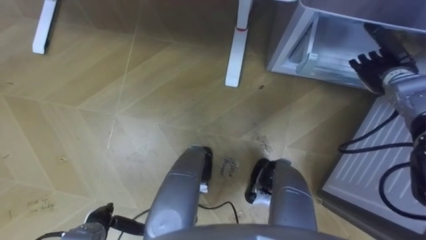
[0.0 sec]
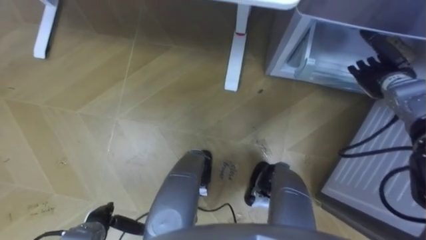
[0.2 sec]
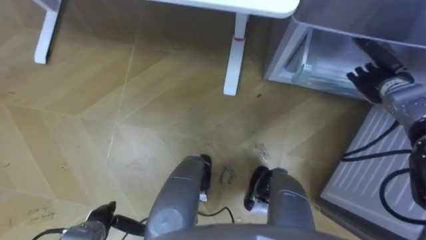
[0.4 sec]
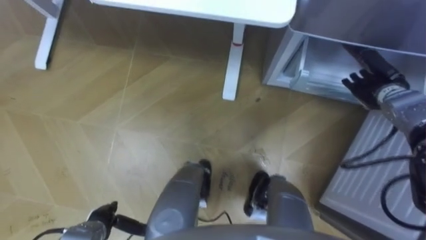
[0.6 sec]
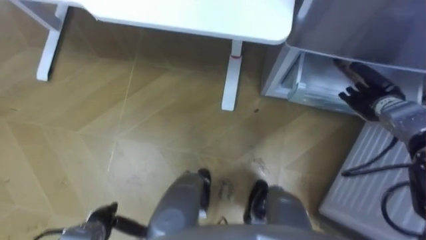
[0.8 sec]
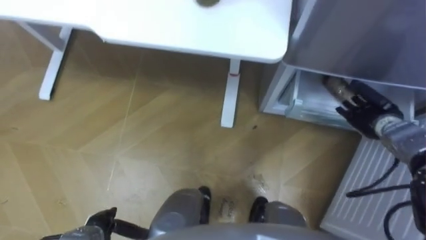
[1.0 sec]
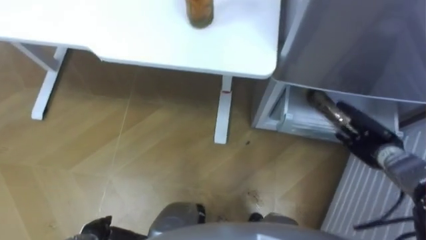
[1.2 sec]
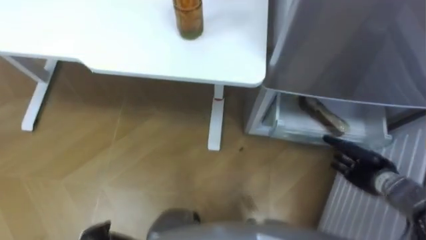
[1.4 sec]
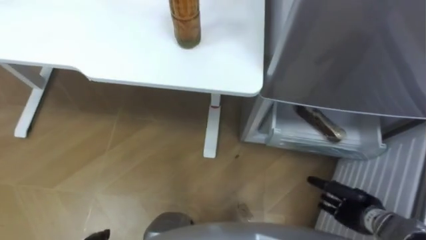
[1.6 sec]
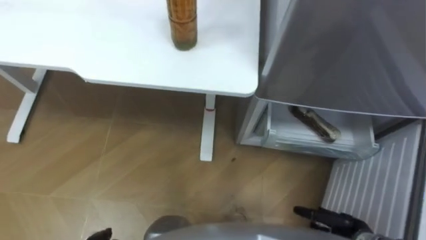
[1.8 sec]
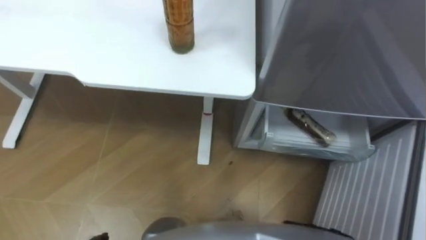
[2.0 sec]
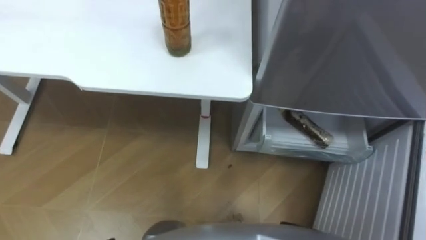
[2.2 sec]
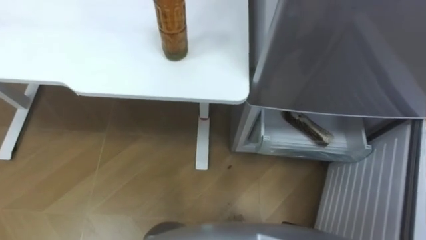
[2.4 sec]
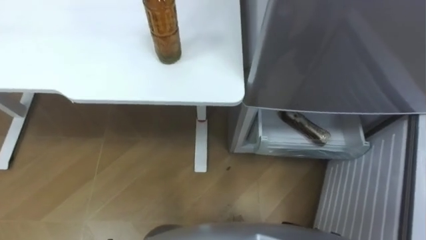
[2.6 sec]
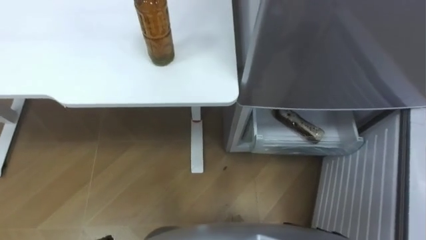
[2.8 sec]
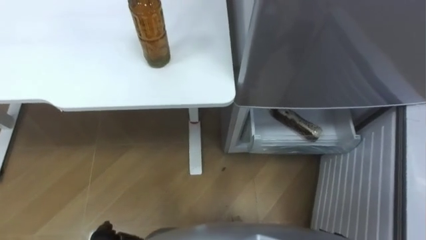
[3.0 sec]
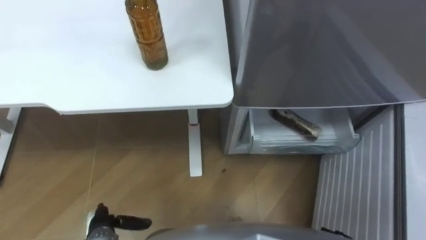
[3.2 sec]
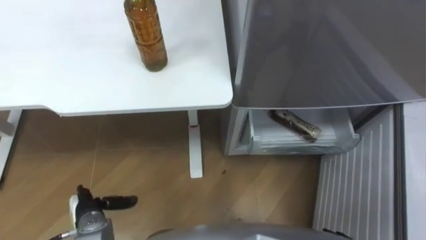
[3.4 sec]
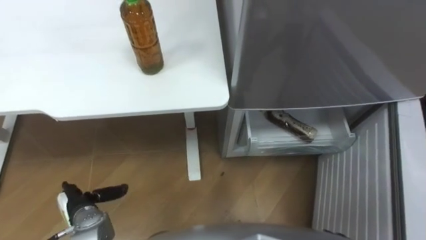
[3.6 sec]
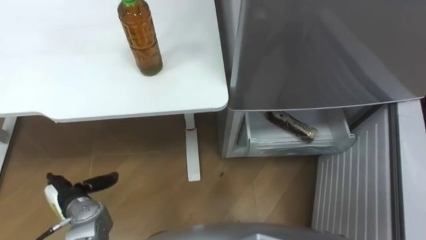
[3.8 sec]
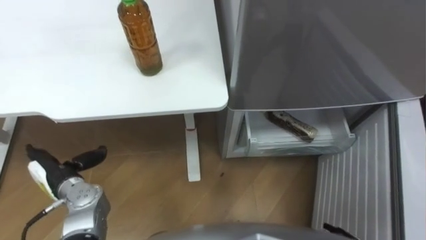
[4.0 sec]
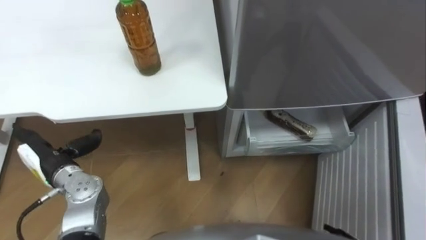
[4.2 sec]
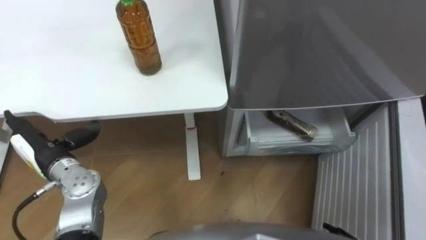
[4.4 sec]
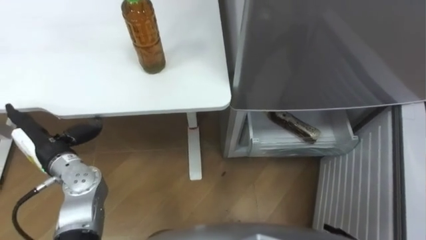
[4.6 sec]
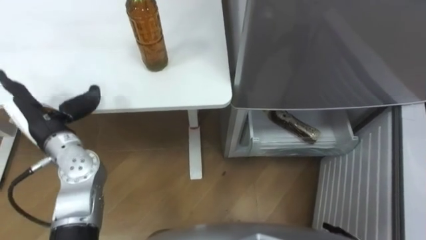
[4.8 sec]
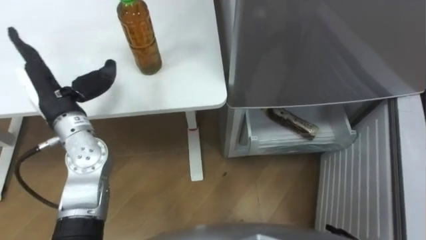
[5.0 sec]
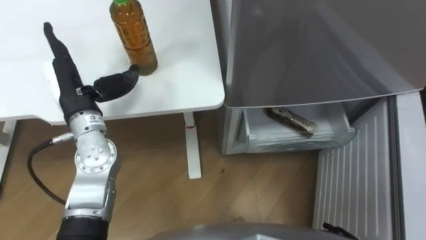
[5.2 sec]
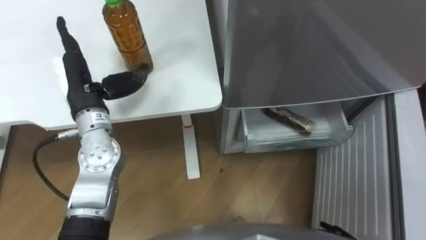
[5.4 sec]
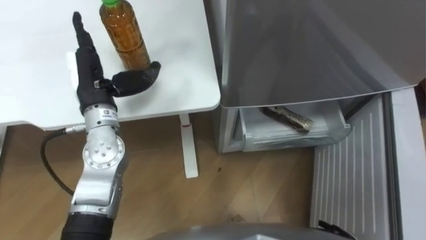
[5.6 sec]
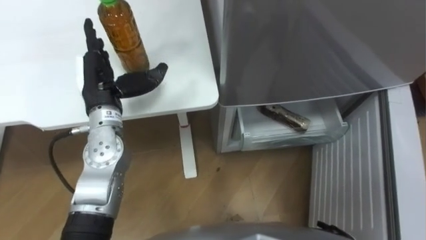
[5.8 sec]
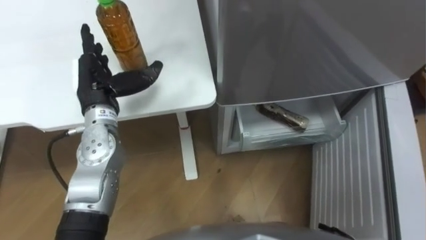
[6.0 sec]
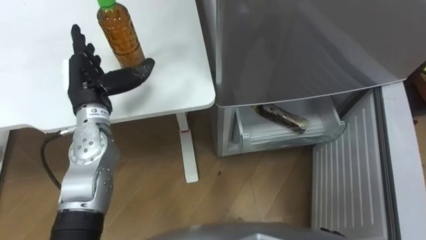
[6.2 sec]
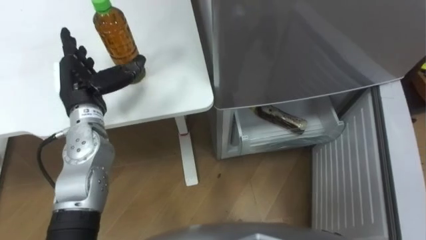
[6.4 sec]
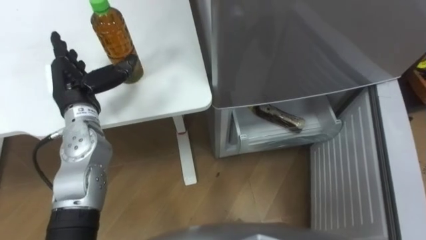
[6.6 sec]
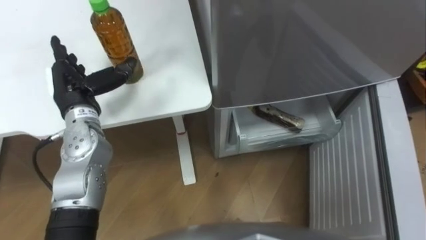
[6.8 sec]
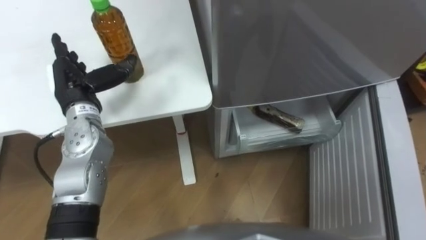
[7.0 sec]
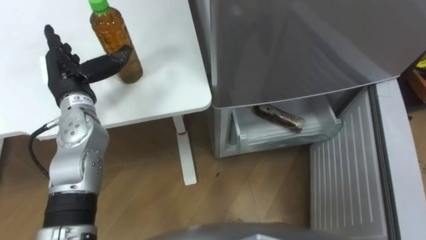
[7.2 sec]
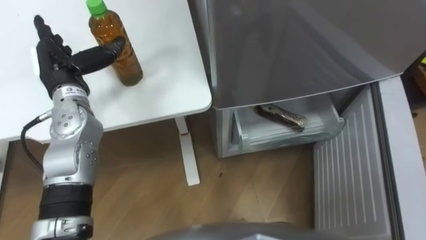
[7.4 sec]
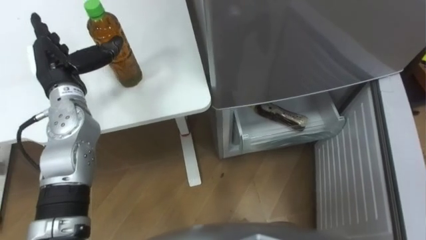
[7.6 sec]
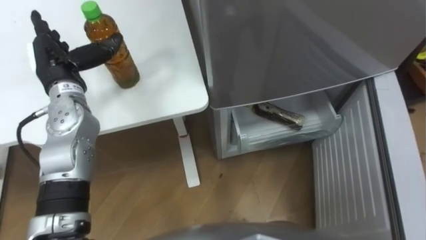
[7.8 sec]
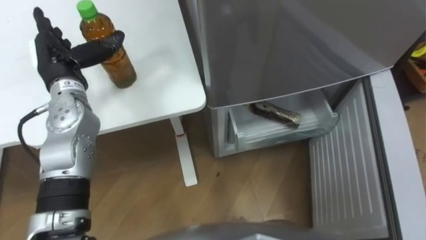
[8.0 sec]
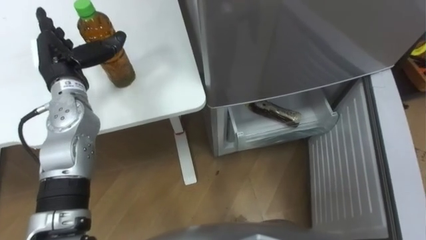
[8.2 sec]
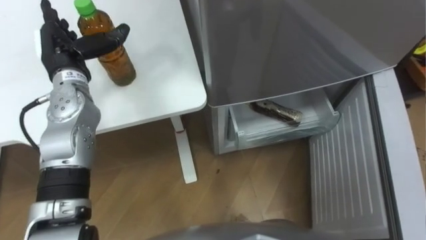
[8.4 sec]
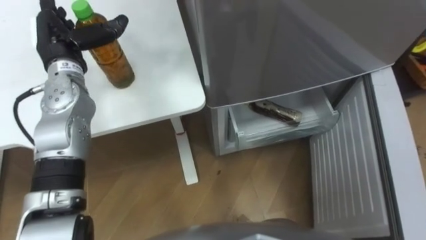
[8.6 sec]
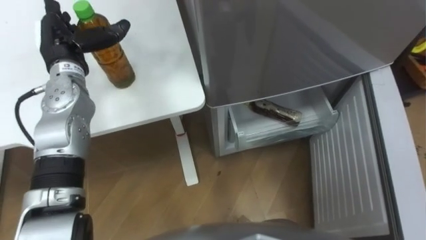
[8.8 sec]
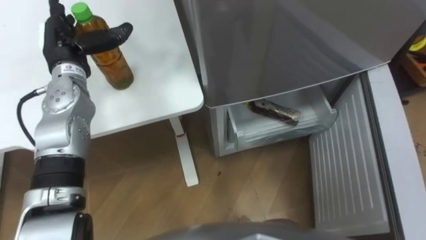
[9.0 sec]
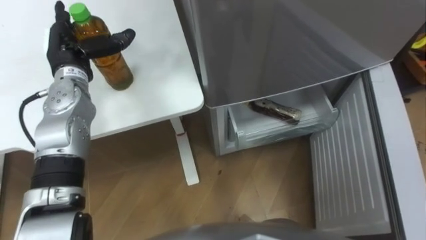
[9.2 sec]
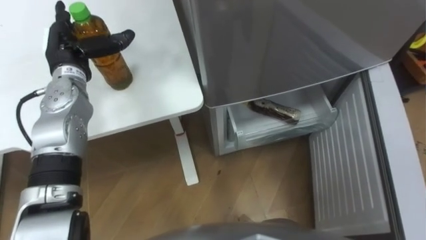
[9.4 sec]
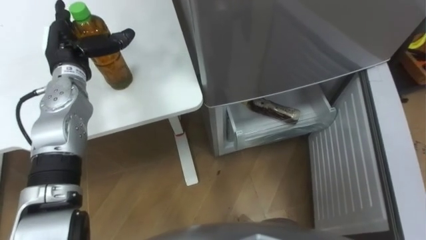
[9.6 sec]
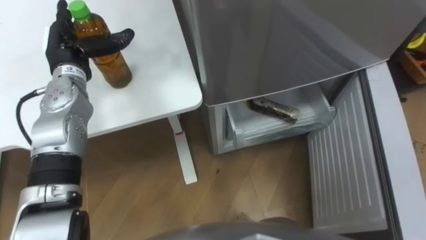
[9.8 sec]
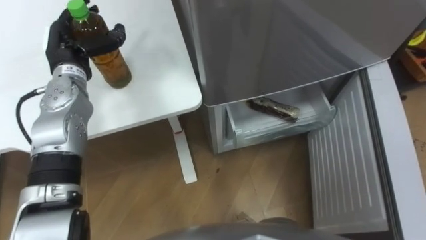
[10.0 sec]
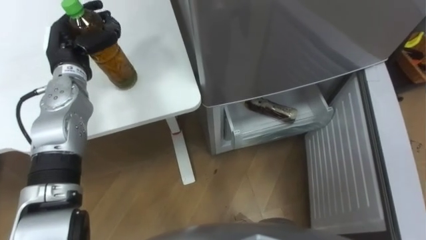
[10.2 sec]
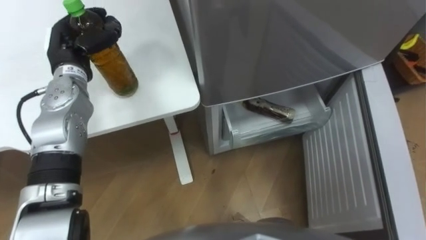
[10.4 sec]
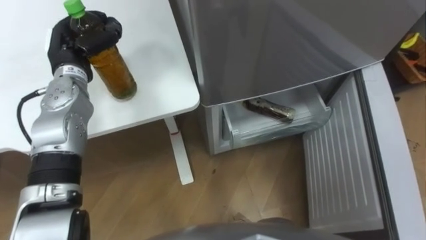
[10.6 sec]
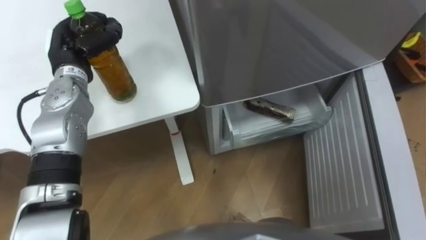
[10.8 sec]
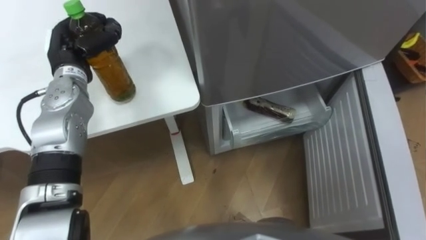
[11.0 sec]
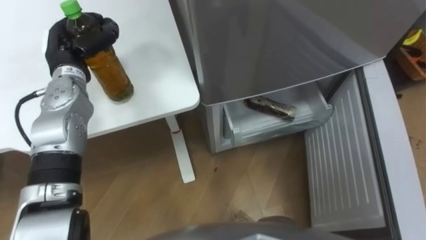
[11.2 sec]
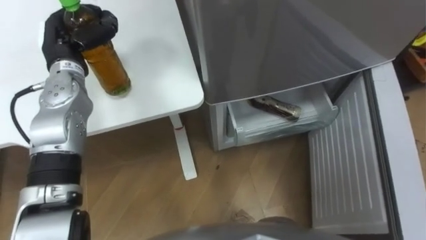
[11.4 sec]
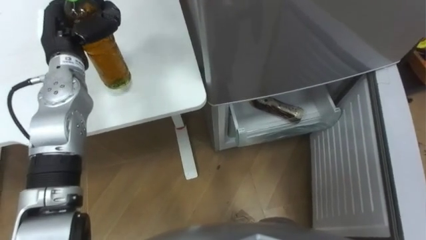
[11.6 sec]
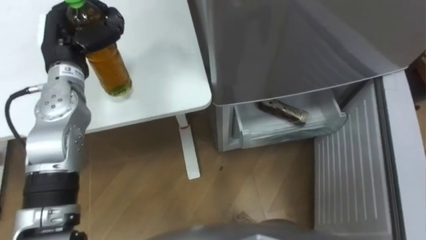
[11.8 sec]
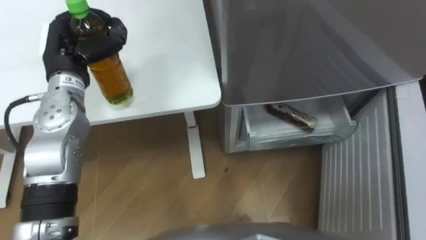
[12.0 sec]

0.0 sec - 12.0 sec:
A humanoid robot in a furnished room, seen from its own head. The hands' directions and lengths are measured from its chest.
Task of the whole recording: Place the drink on the table on the bottom shelf of the refrigerator, then close the drawer and the refrigerator door.
0.0 sec - 1.6 sec: The right hand heads backward and downward, covering some 30 cm.
4.4 sec - 6.0 sec: The left hand goes roughly 15 cm to the right, forward and upward.
6.0 sec - 7.6 sec: The left hand shifts some 5 cm to the left.
9.0 sec - 10.4 sec: The left hand closes.

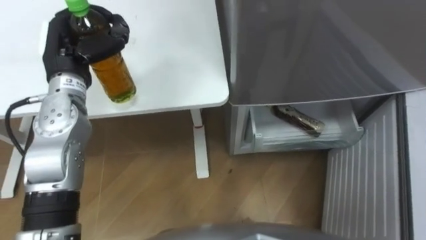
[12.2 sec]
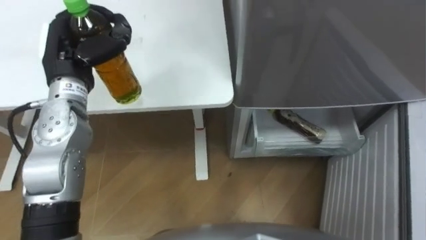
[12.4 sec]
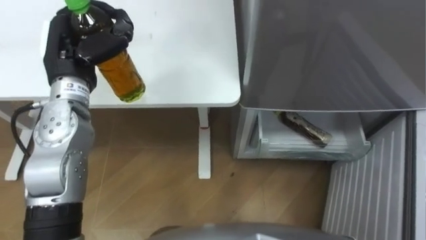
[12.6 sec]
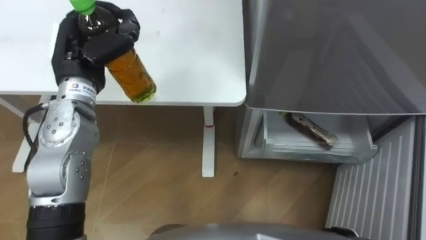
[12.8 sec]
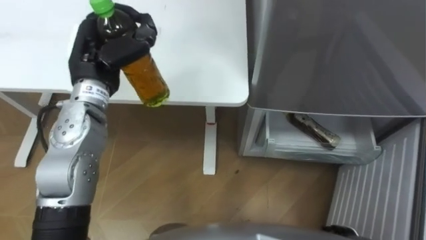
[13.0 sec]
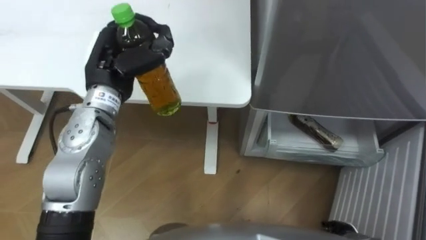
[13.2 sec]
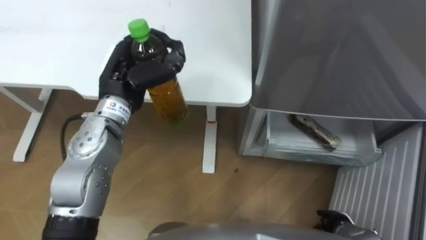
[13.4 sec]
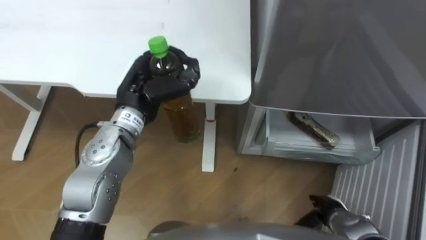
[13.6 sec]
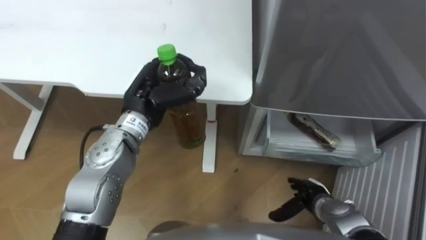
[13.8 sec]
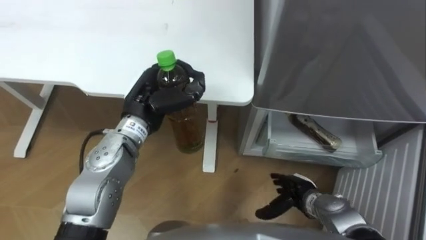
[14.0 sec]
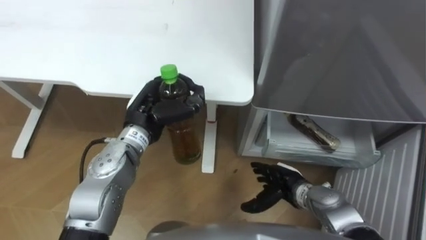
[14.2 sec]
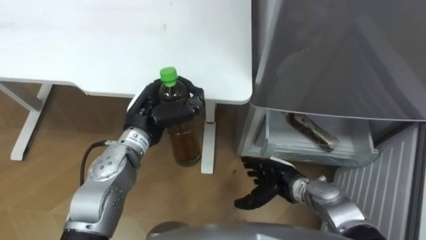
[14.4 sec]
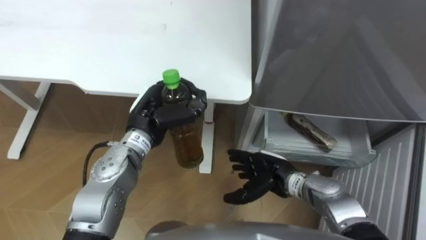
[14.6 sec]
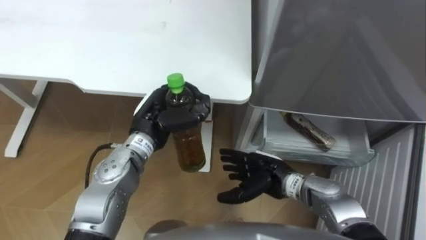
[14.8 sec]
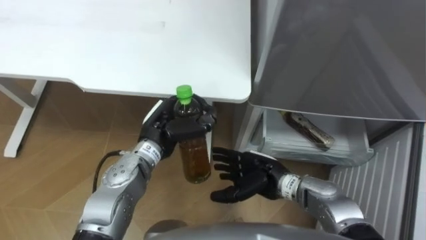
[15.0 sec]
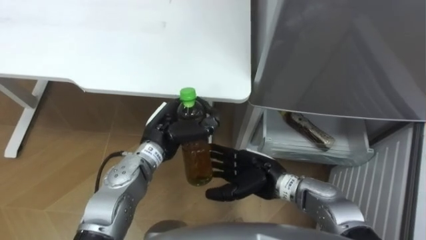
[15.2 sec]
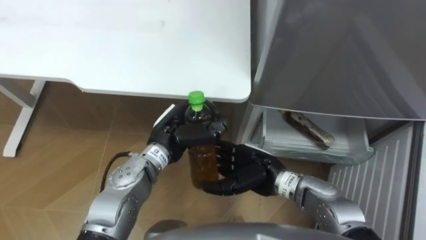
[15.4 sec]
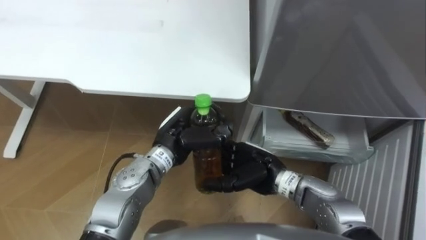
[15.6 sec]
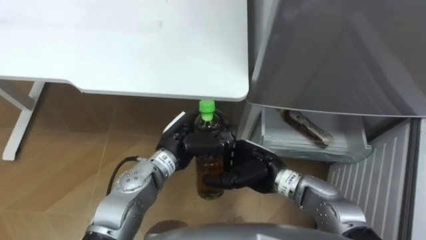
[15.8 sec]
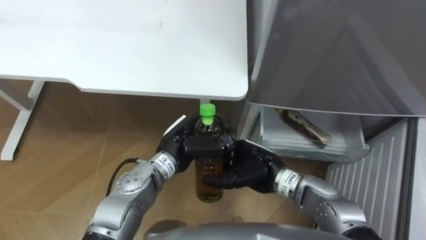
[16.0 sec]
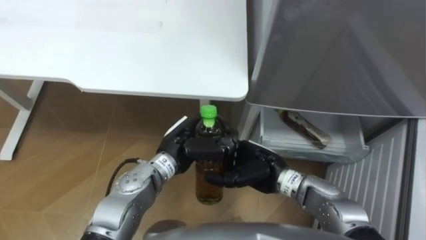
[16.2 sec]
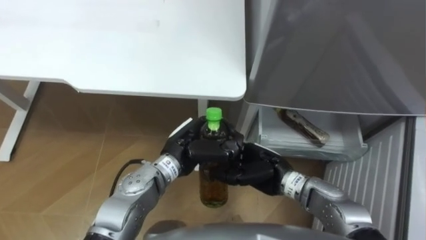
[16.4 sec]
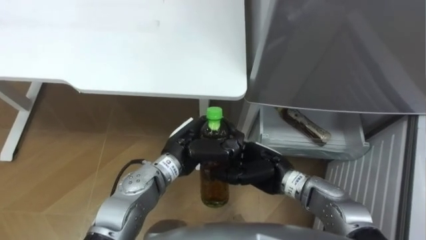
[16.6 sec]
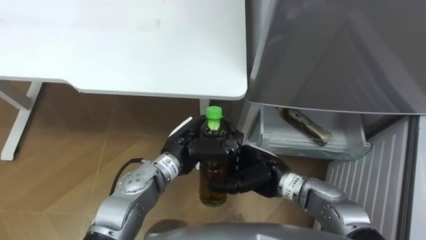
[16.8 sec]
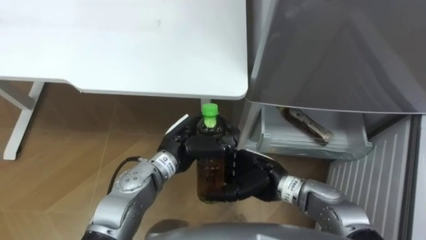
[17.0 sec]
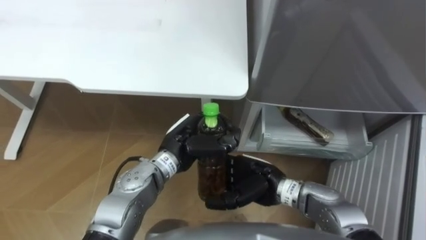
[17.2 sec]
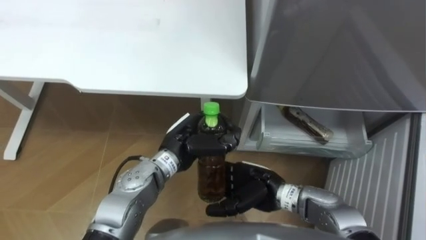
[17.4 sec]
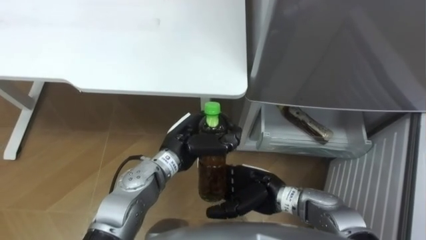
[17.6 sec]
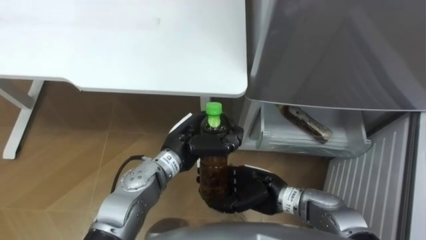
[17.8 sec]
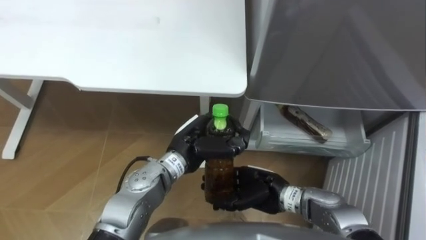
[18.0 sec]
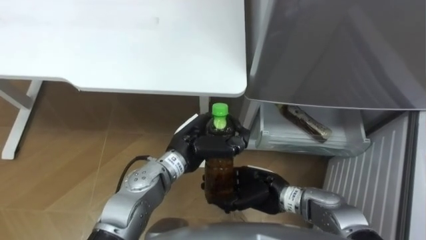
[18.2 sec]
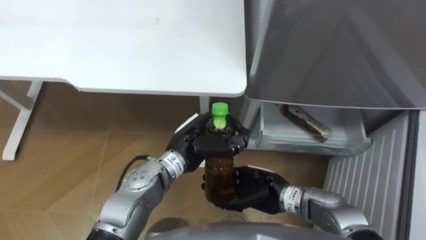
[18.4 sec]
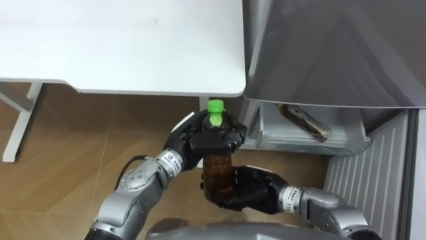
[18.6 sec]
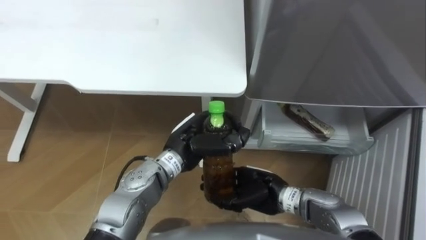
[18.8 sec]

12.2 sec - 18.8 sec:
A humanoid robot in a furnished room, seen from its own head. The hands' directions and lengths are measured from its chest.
Task of the whole recording: Place the drink on the table on the bottom shelf of the refrigerator, then close the drawer and the refrigerator door.
12.2 sec - 13.8 sec: The left hand is displaced to the right and downward by roughly 15 cm.
13.8 sec - 15.4 sec: The left hand shifts about 5 cm downward. The right hand goes about 20 cm to the left and upward.
15.4 sec - 17.2 sec: The hands move only a little.
17.2 sec - 18.8 sec: The right hand closes its fingers.
